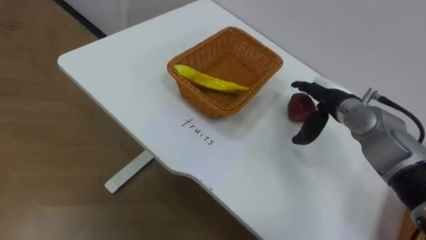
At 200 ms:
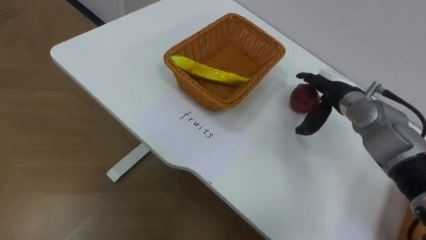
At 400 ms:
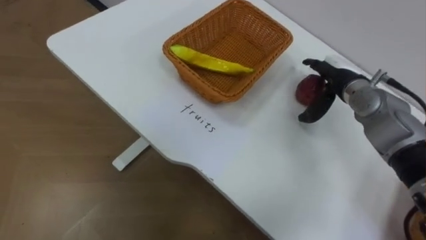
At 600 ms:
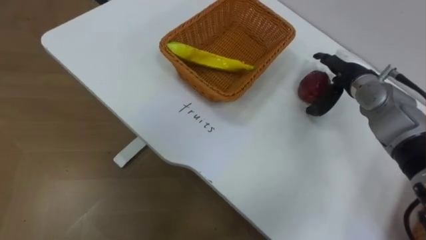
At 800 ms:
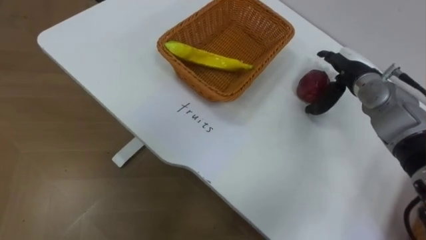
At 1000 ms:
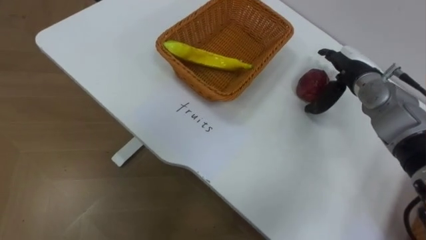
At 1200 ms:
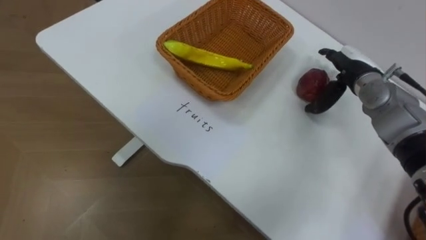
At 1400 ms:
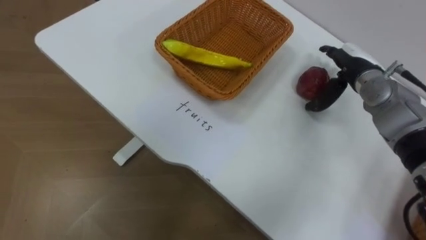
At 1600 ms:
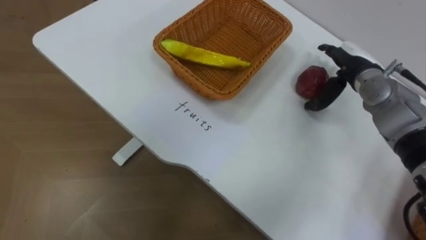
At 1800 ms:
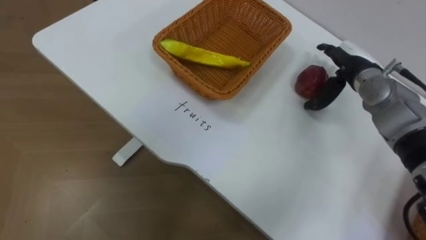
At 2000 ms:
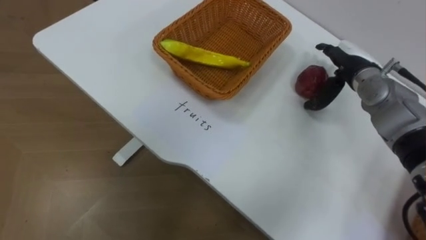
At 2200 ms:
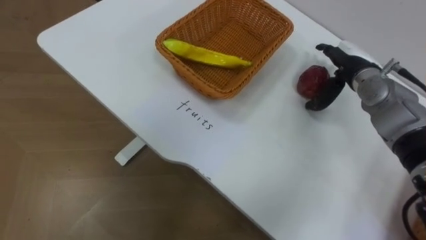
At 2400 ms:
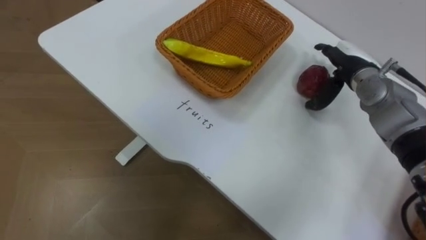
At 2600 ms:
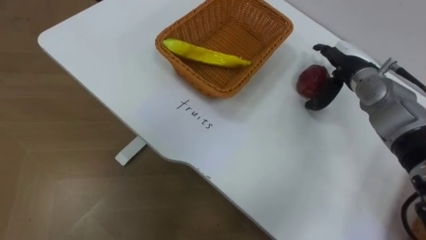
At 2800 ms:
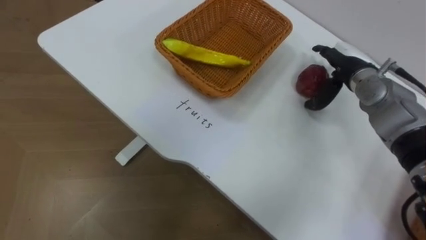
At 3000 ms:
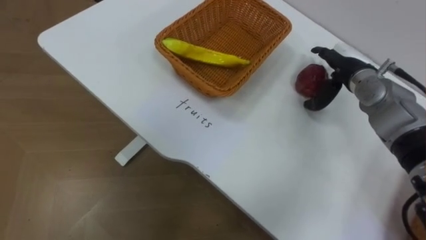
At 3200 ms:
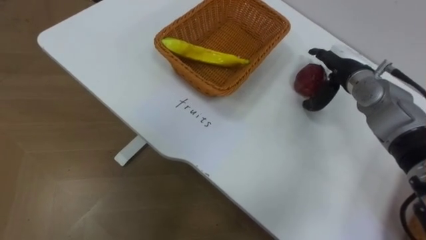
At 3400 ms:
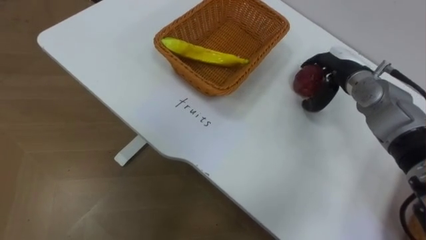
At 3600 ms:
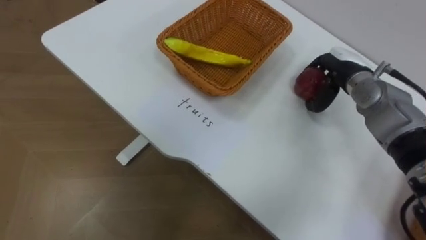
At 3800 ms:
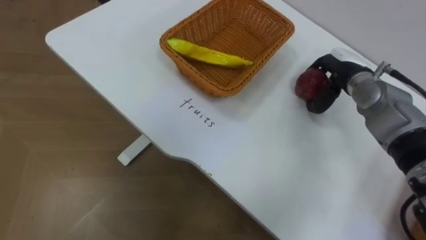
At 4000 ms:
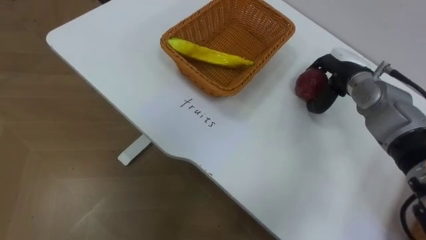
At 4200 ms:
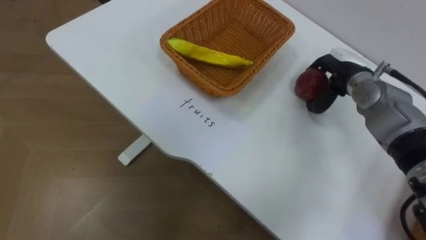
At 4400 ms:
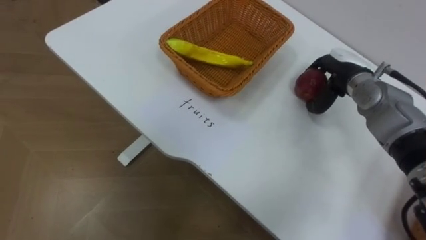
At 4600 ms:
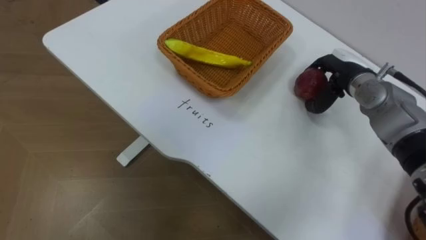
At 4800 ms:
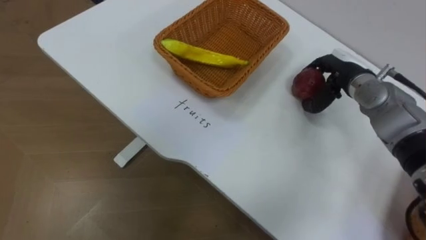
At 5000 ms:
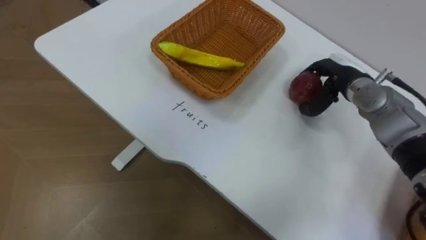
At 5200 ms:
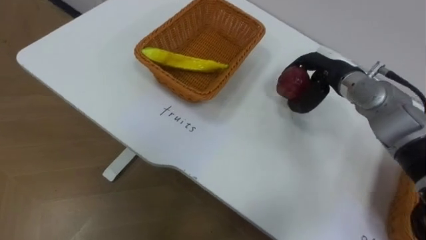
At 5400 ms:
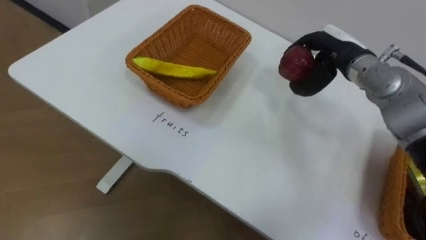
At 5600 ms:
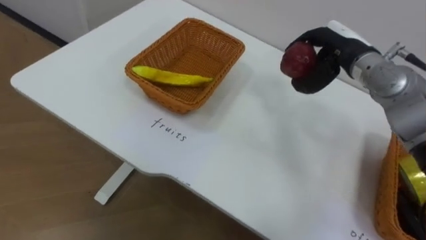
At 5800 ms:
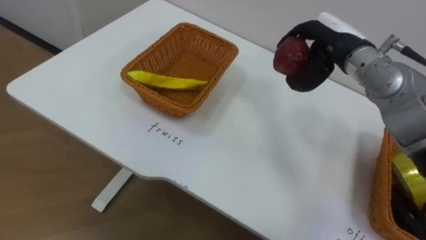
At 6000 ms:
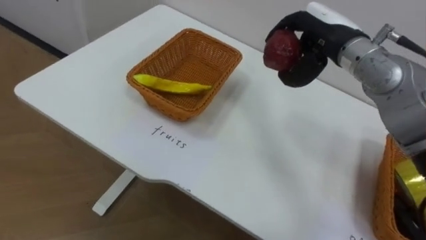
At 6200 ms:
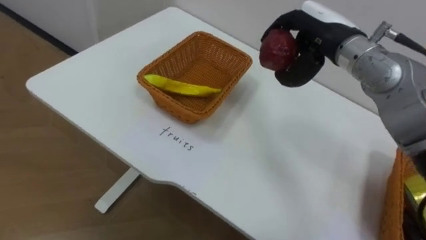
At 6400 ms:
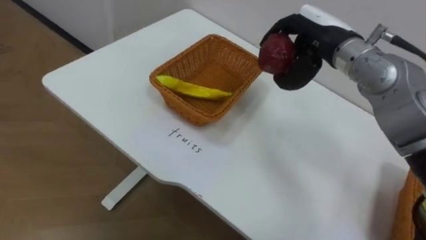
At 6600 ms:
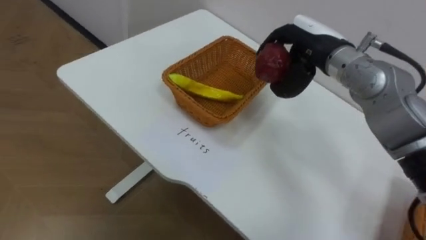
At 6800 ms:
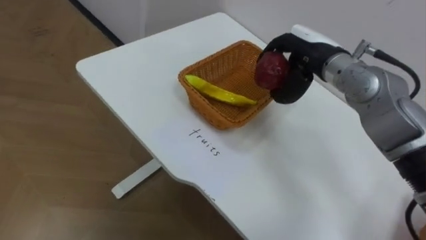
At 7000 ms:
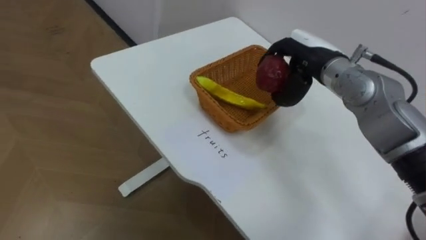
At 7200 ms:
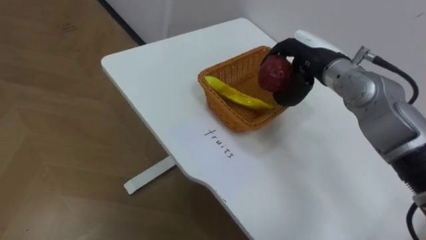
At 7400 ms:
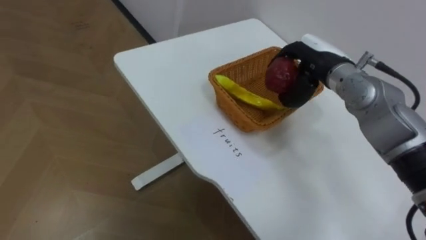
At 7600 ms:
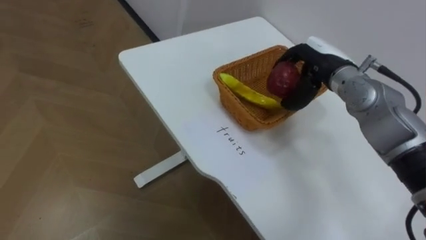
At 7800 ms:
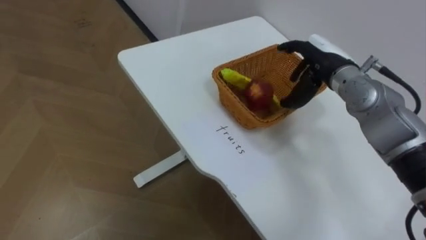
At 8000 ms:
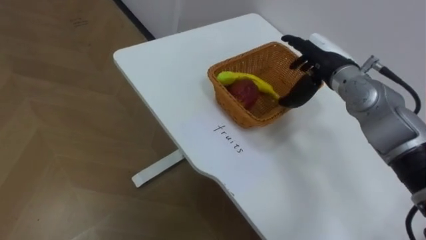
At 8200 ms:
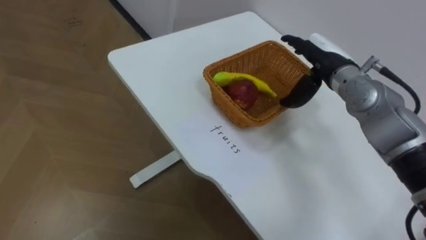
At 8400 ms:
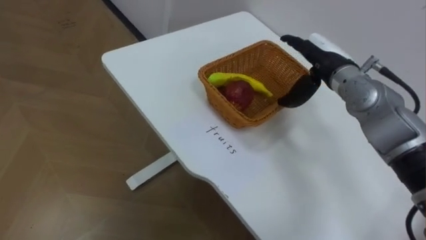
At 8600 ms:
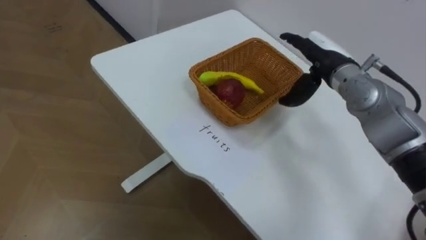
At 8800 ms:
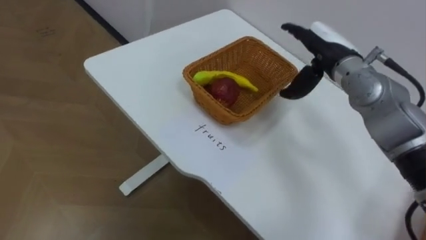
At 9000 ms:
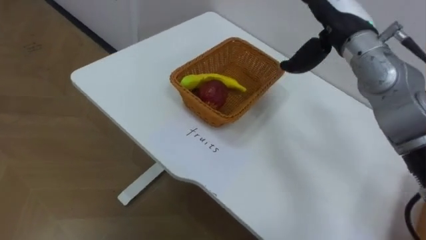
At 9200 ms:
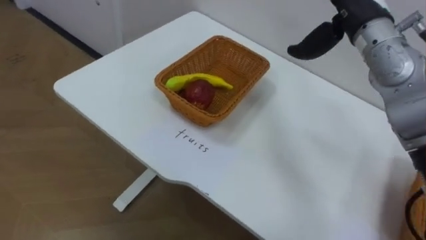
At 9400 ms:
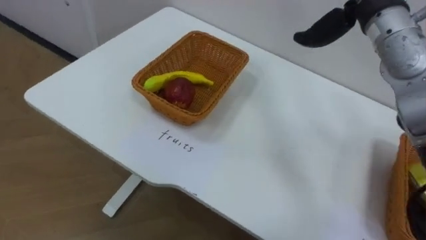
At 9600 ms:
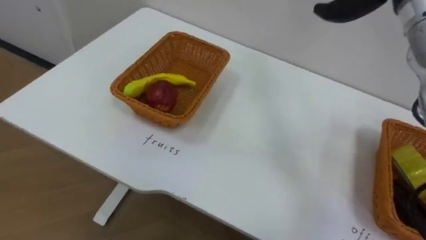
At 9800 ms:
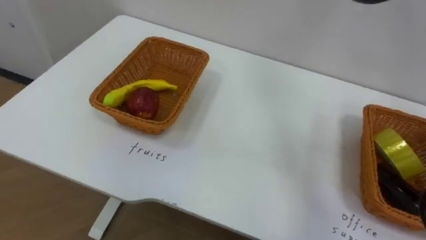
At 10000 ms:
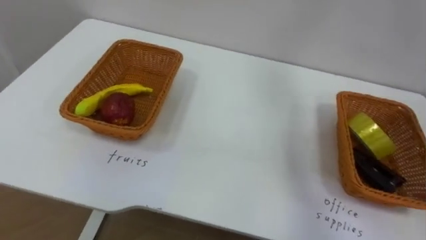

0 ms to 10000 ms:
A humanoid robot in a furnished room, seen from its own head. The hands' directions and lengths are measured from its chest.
Task of the whole recording: Separate the items on the table and place them into the two baskets.
0 ms to 1400 ms: The right hand shifts by some 5 cm.
2800 ms to 4200 ms: The right hand closes up.
4200 ms to 5800 ms: The right hand travels upward by about 10 cm.
7200 ms to 8600 ms: The right hand opens.

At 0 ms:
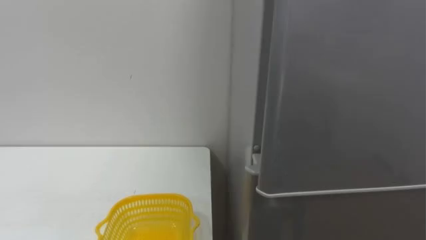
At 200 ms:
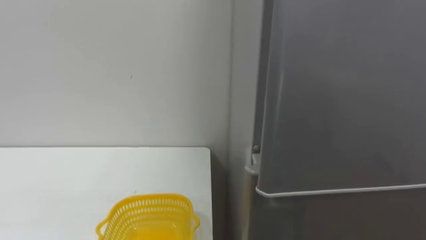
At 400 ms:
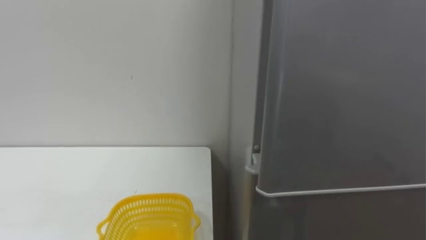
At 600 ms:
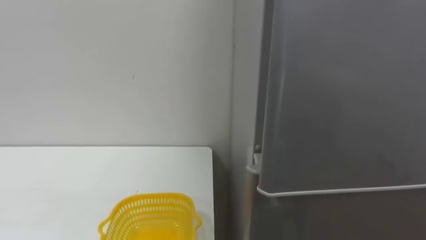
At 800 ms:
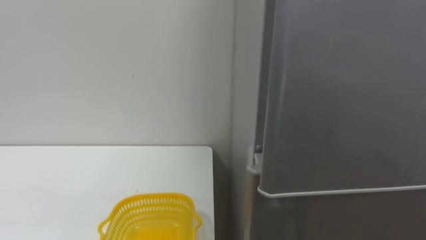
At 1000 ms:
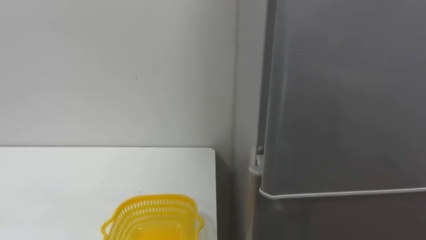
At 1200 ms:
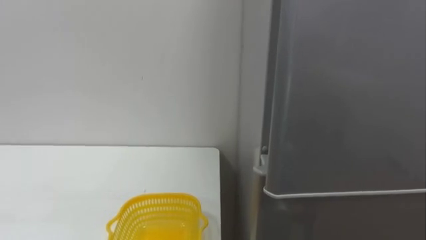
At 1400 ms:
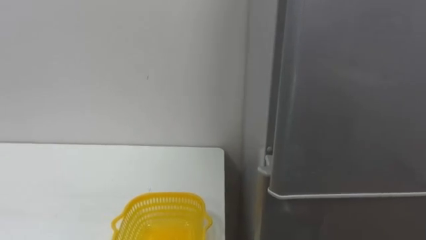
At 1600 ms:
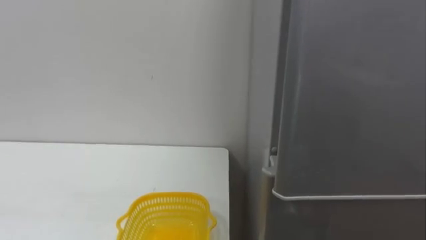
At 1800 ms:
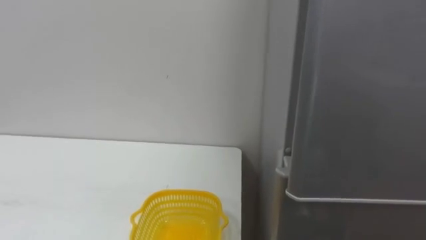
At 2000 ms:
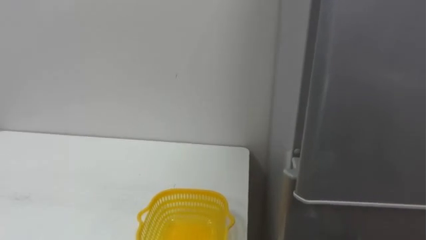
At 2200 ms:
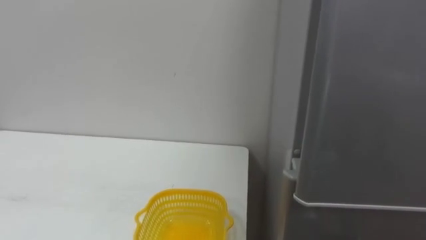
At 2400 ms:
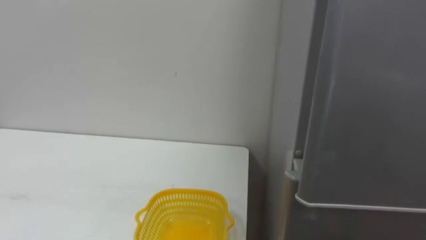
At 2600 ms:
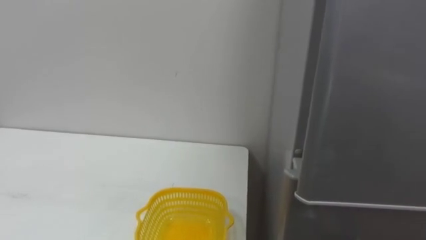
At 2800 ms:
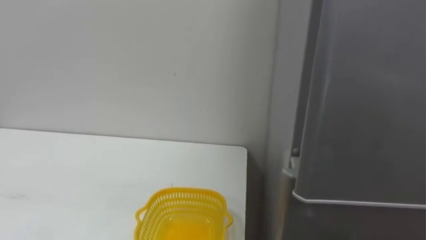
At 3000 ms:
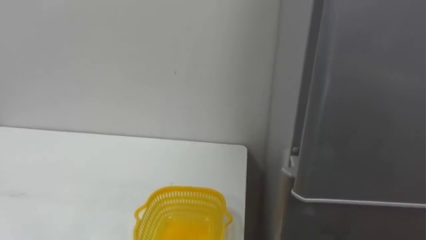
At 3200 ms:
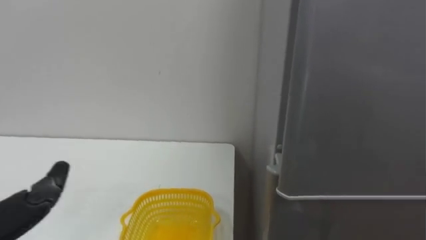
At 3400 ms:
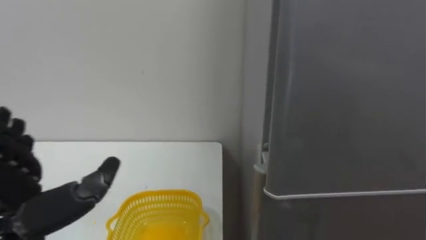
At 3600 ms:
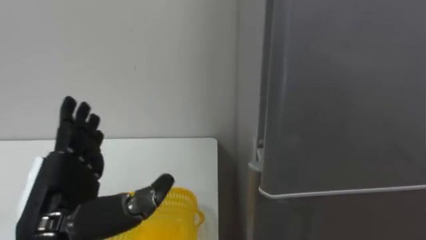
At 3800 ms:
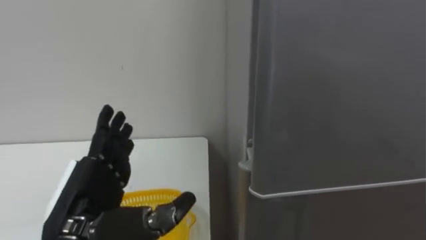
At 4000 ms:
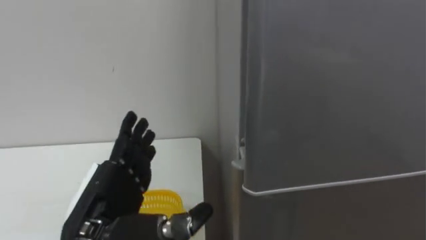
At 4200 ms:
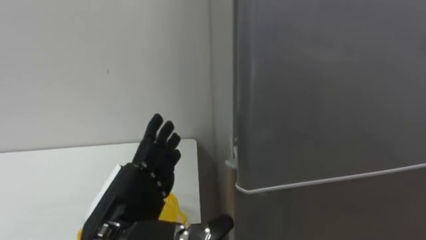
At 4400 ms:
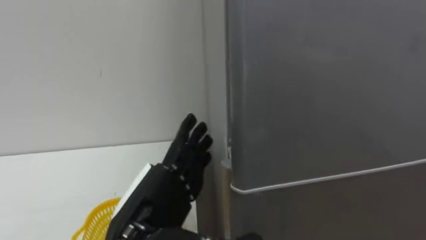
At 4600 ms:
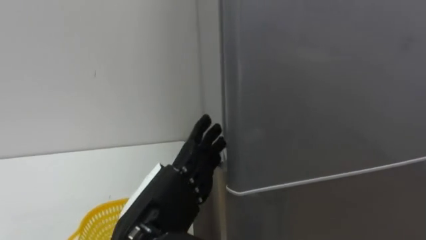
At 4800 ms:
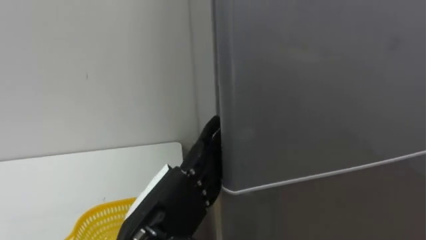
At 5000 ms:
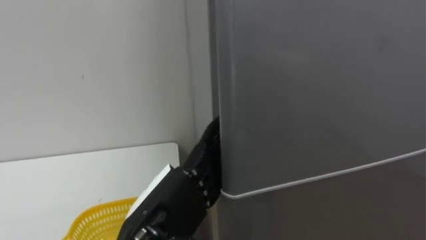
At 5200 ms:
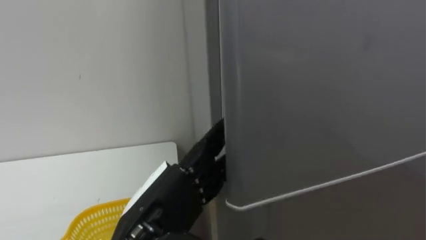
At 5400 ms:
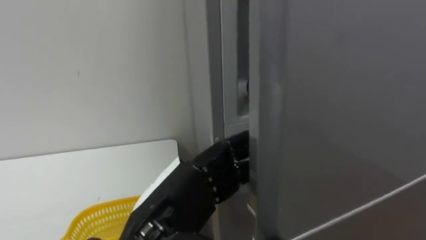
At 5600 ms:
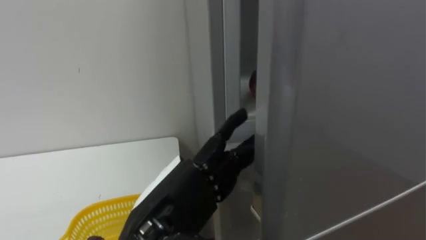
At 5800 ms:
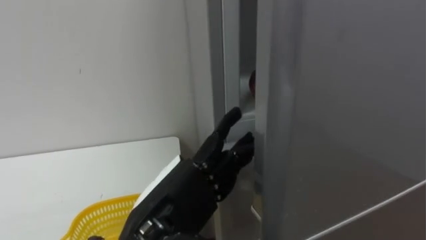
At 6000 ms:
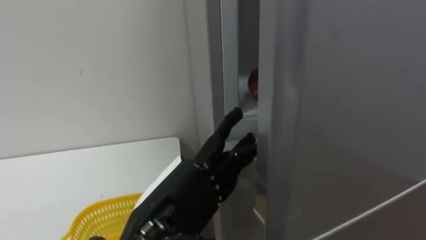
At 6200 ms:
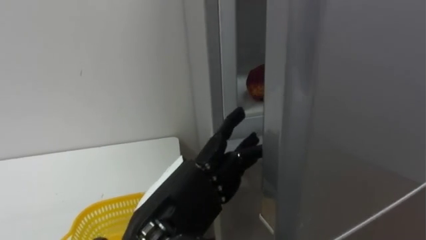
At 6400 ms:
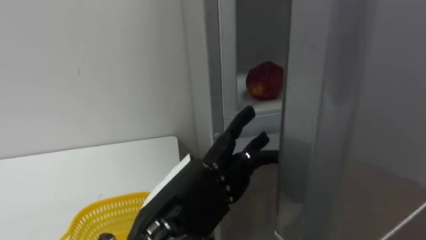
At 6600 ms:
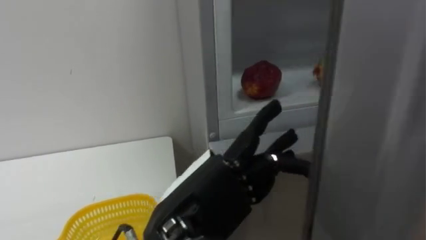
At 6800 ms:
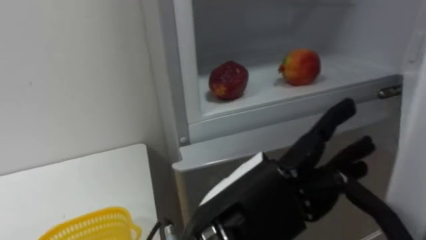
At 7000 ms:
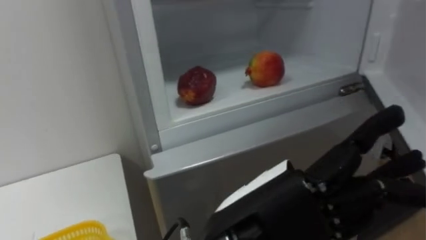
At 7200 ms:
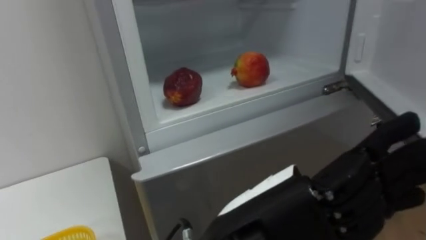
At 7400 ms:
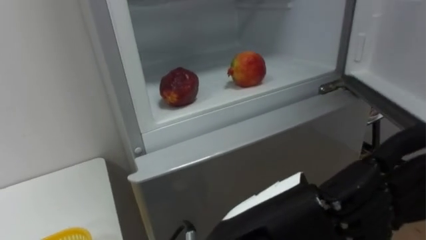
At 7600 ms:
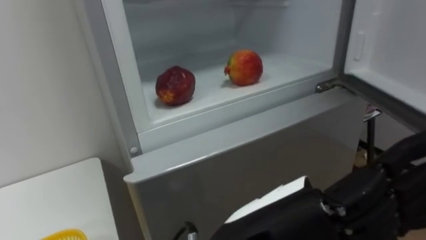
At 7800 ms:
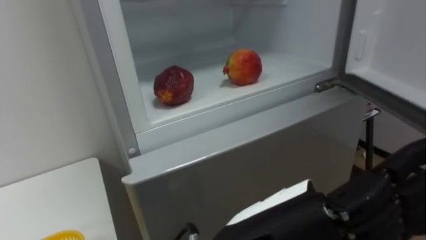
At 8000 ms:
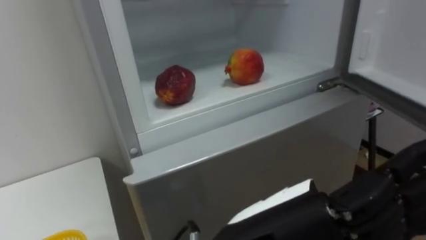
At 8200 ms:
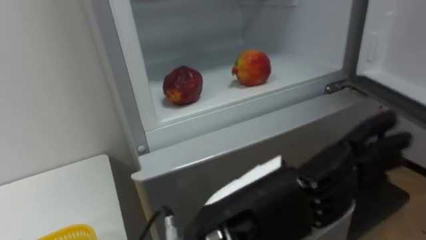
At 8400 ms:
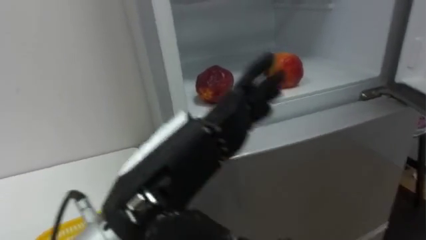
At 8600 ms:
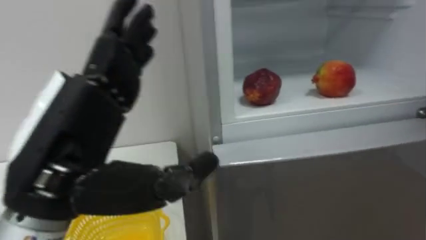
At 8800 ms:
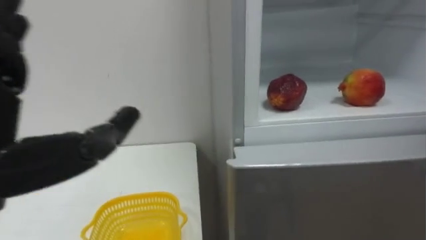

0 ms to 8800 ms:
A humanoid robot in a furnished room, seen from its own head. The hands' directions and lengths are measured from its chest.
Task of the whole recording: Open the refrigerator door, take out the apple and the pomegranate, place them in the fruit basket on the left, and close the refrigerator door.
5800 ms to 7400 ms: The left hand goes roughly 10 cm to the right and backward.
7400 ms to 8800 ms: The left hand moves to the left, roughly 20 cm.
